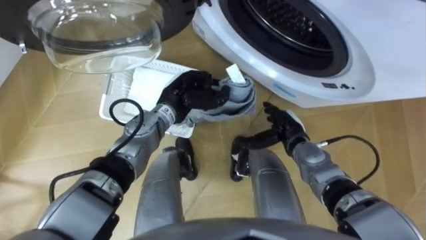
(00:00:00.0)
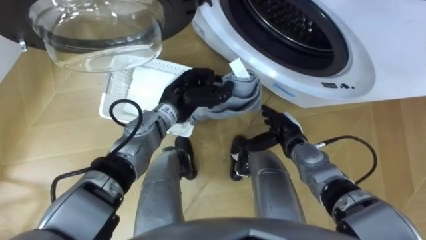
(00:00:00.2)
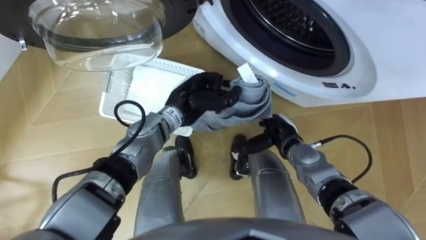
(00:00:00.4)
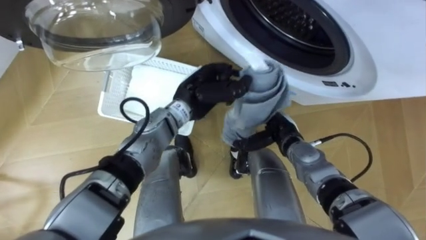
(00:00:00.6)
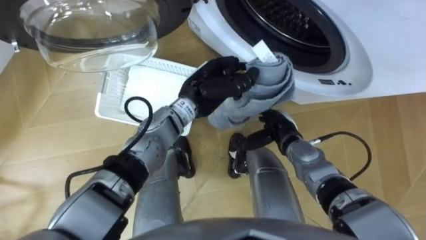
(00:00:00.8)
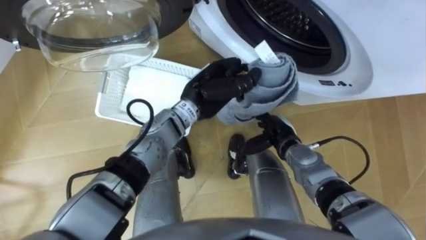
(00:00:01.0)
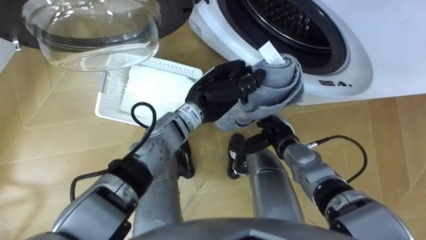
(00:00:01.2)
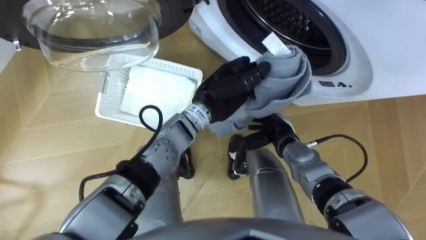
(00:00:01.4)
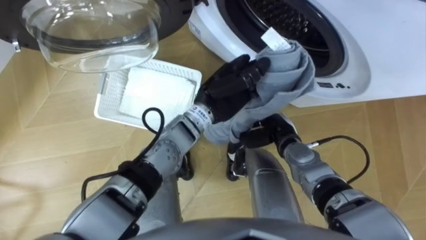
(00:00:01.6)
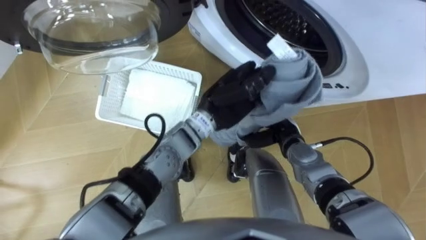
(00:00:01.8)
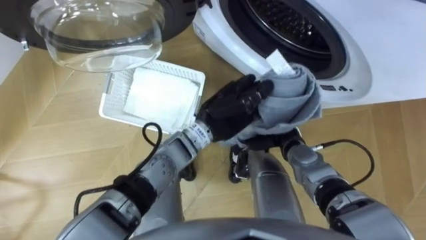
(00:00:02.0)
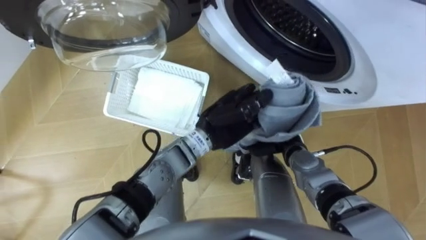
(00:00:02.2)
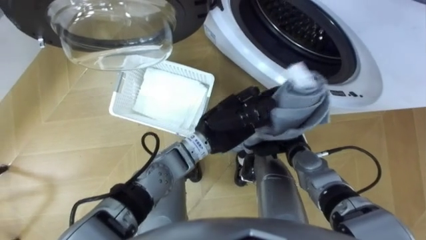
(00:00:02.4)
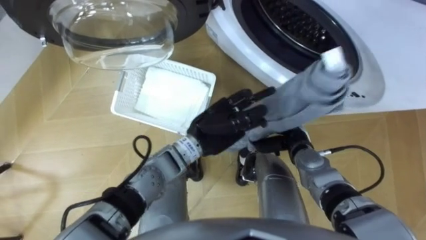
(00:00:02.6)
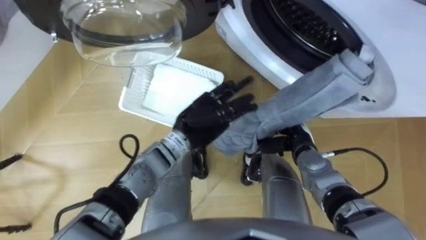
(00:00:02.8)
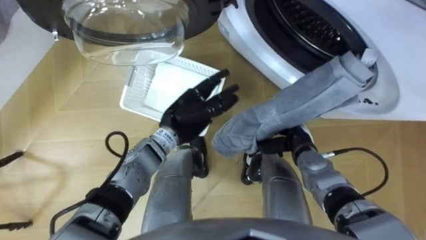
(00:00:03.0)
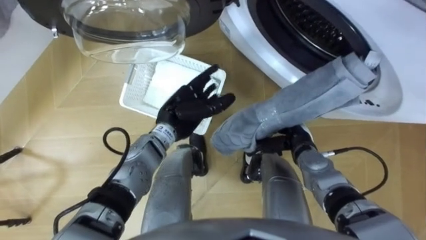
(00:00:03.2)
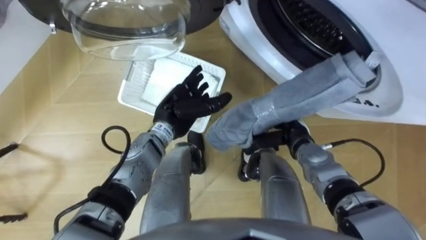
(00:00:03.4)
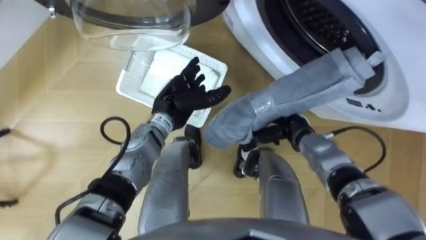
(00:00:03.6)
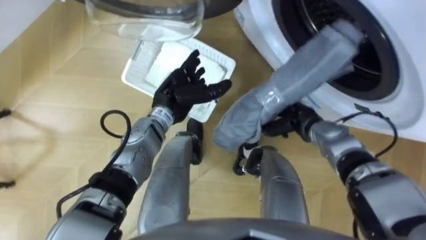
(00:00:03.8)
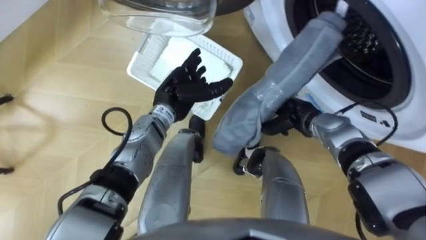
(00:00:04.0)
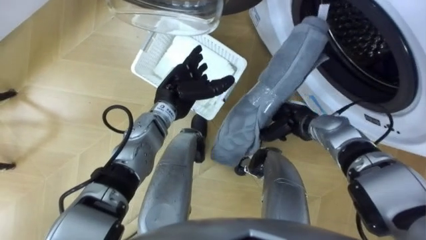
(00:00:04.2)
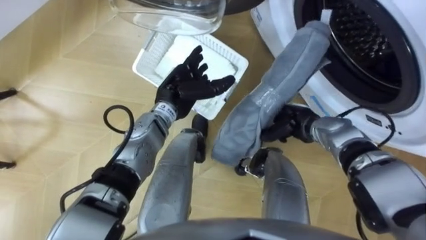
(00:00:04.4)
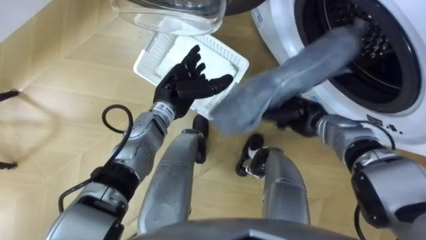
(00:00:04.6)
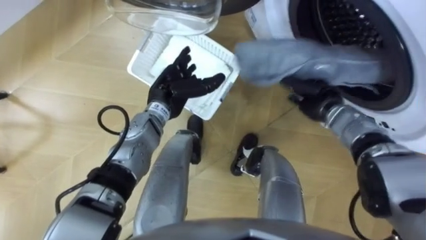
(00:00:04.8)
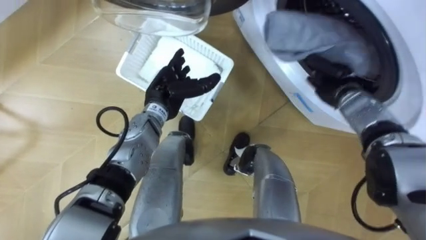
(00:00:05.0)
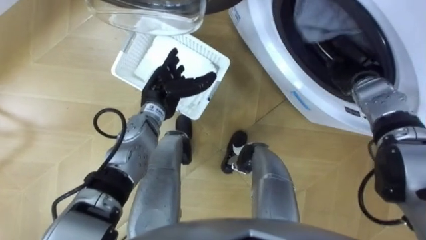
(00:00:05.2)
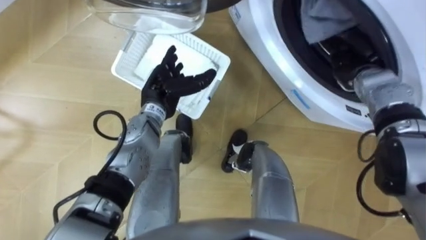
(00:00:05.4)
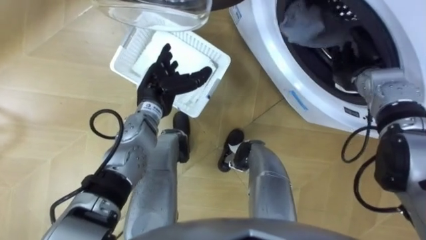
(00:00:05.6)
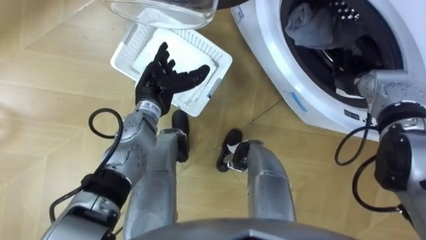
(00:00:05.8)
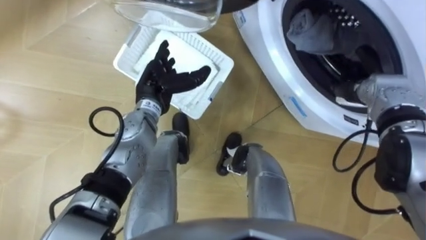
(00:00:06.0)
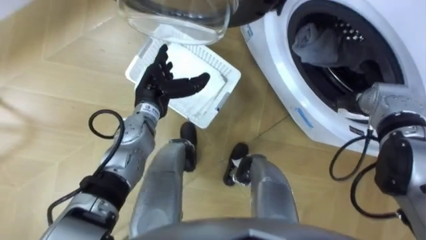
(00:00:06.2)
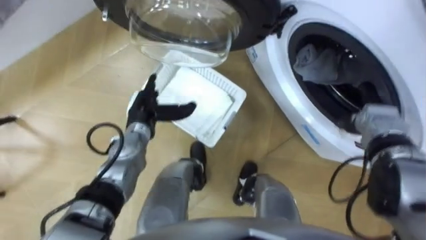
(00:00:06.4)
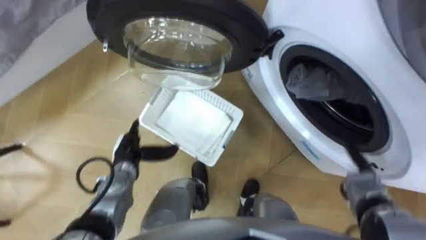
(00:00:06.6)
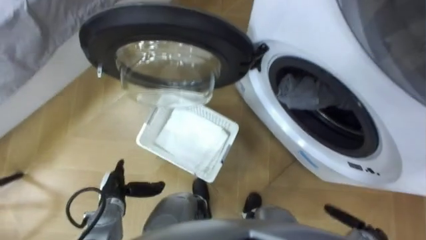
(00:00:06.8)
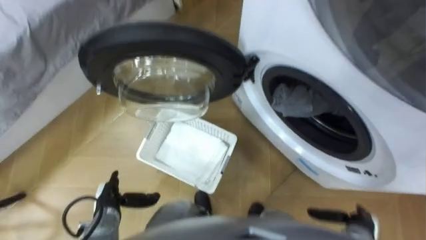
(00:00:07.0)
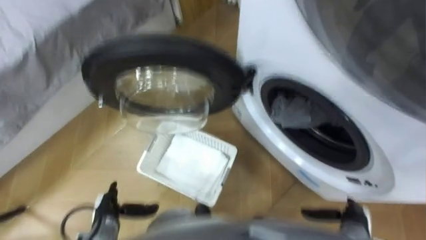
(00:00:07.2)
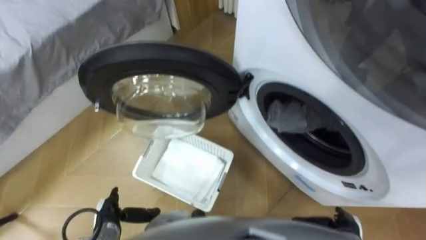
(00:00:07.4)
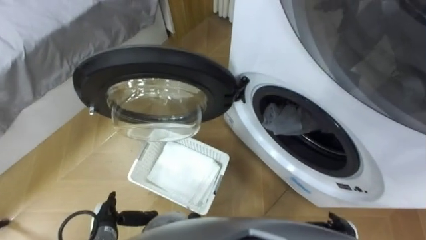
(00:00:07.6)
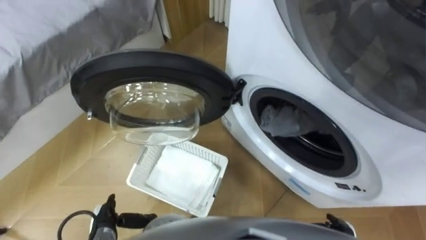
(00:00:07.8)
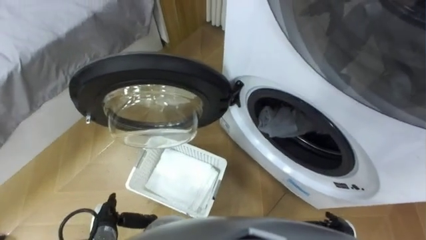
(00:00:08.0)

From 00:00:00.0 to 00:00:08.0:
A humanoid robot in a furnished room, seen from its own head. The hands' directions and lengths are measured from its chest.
Task of the whole recording: Take the towel from the basket and put it into the washing machine.
From 00:00:00.0 to 00:00:01.6: The left hand heads to the right and upward, covering some 10 cm. Meanwhile the right hand closes its fingers.
From 00:00:01.6 to 00:00:03.2: The left hand is displaced to the left and downward by about 10 cm, and opens.
From 00:00:03.2 to 00:00:04.8: The right hand shifts some 10 cm forward and upward.
From 00:00:04.8 to 00:00:06.4: The right hand shifts about 10 cm to the right and backward, and opens its fingers. The left hand travels to the left by about 5 cm.
From 00:00:06.4 to 00:00:08.0: Both hands move backward and downward, some 25 cm.

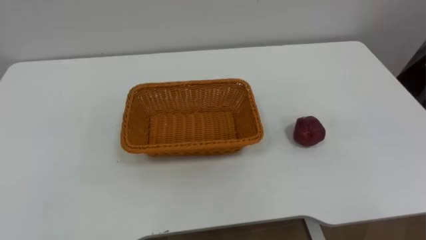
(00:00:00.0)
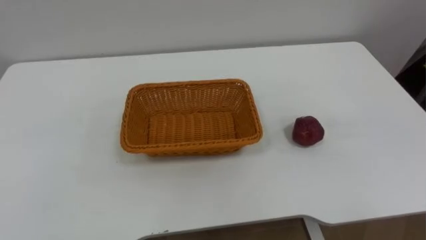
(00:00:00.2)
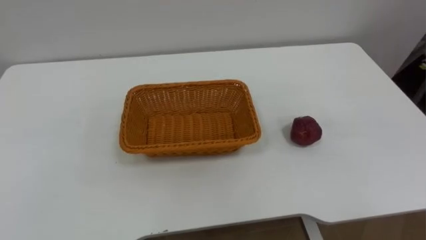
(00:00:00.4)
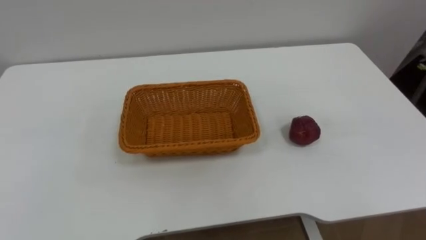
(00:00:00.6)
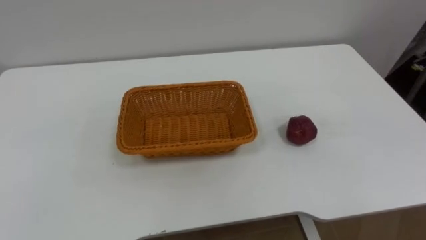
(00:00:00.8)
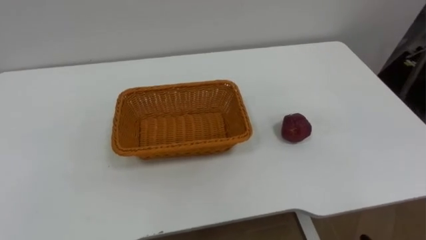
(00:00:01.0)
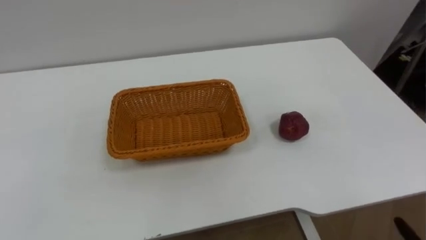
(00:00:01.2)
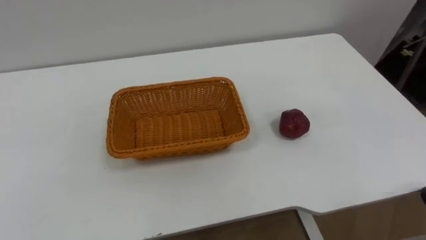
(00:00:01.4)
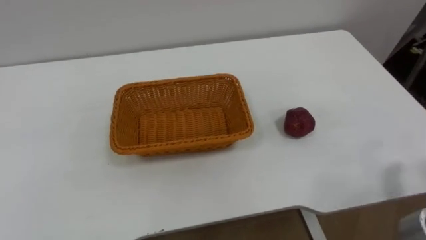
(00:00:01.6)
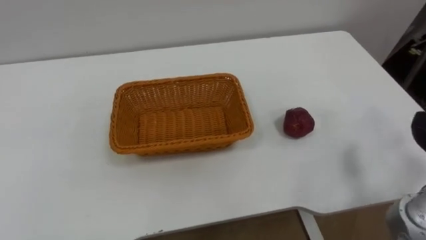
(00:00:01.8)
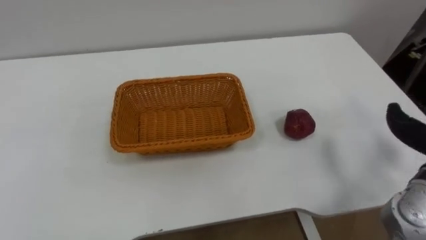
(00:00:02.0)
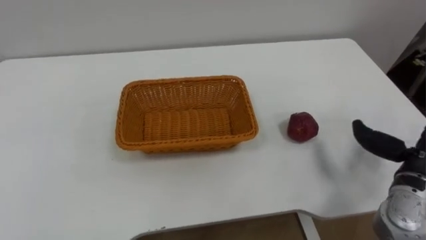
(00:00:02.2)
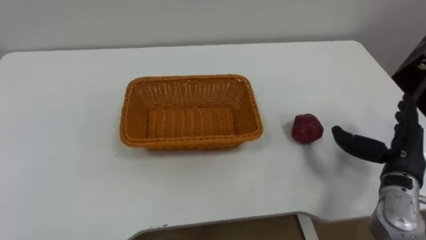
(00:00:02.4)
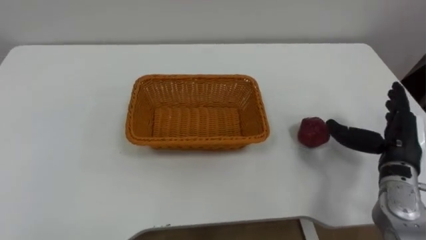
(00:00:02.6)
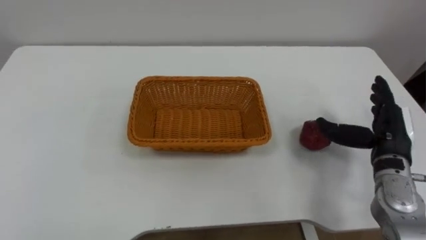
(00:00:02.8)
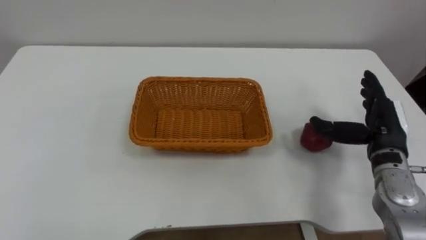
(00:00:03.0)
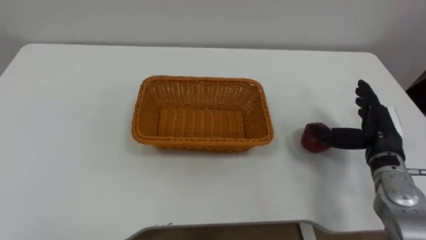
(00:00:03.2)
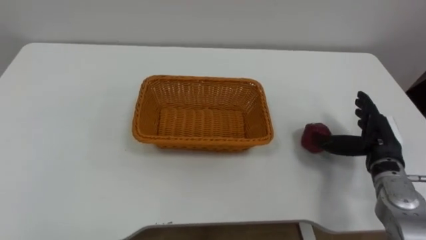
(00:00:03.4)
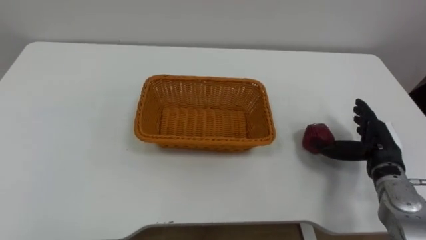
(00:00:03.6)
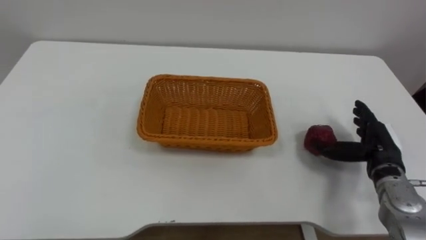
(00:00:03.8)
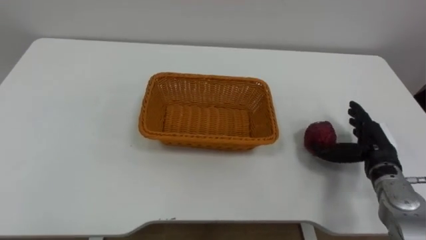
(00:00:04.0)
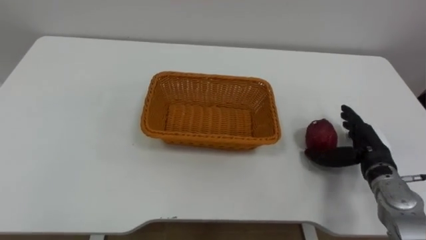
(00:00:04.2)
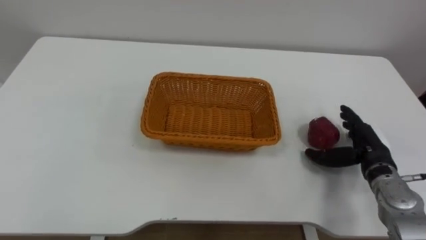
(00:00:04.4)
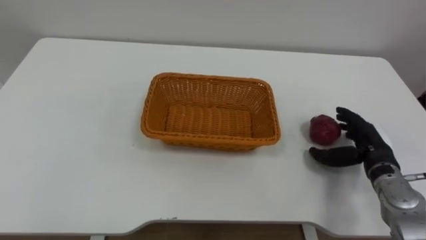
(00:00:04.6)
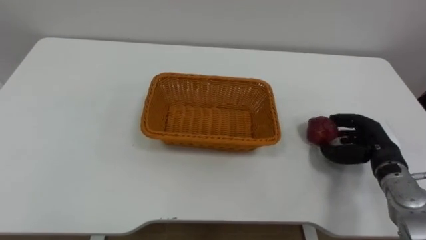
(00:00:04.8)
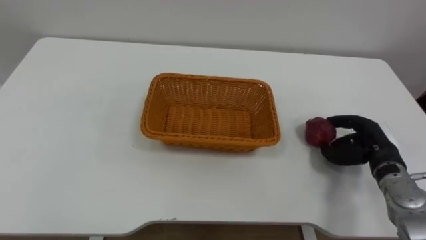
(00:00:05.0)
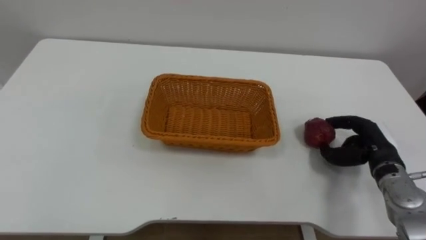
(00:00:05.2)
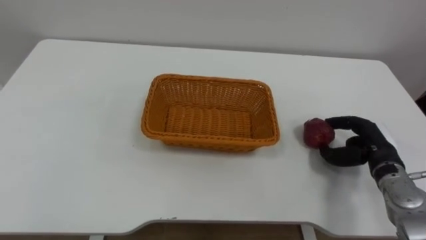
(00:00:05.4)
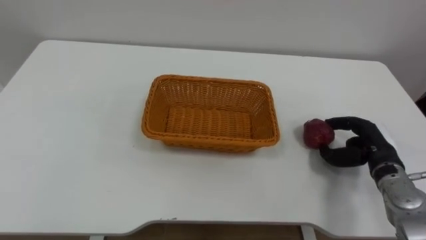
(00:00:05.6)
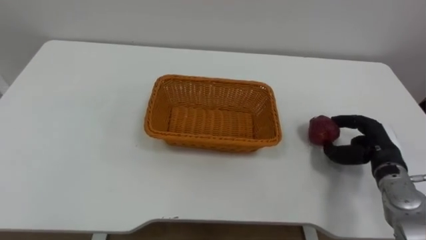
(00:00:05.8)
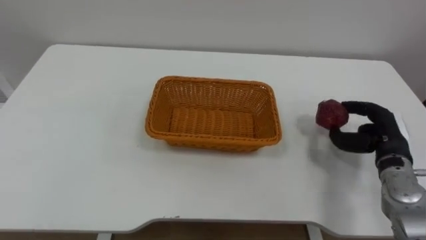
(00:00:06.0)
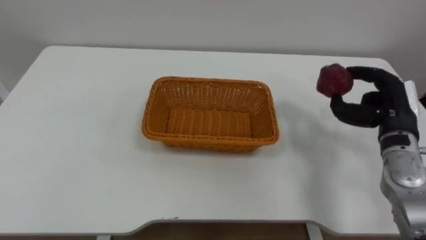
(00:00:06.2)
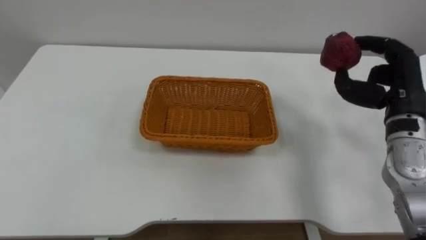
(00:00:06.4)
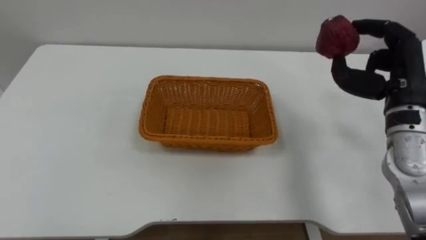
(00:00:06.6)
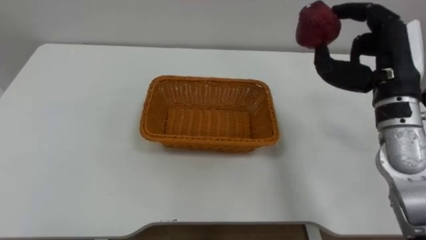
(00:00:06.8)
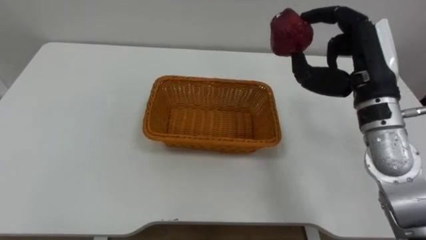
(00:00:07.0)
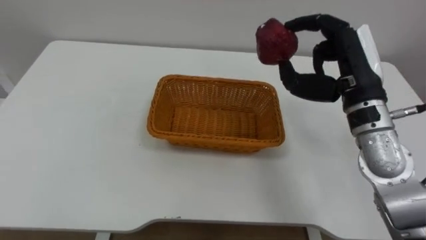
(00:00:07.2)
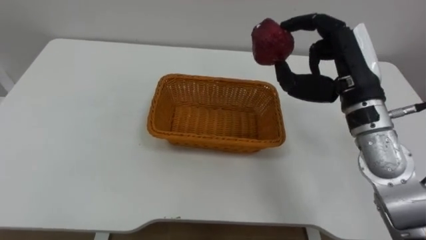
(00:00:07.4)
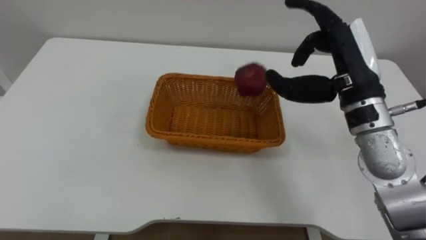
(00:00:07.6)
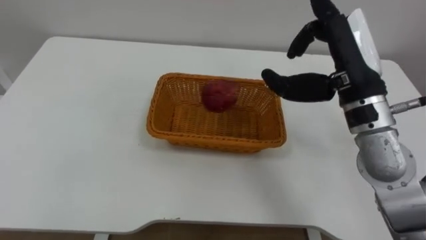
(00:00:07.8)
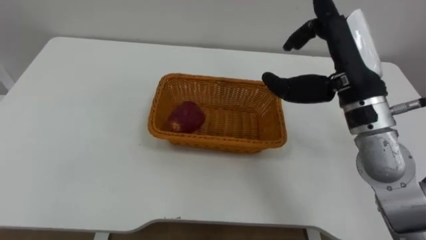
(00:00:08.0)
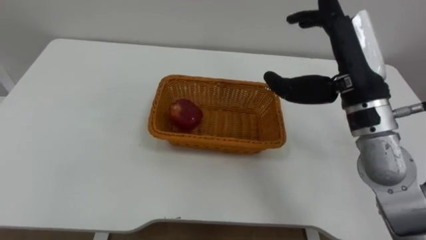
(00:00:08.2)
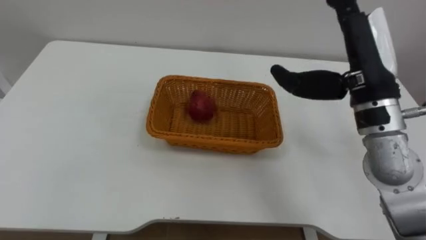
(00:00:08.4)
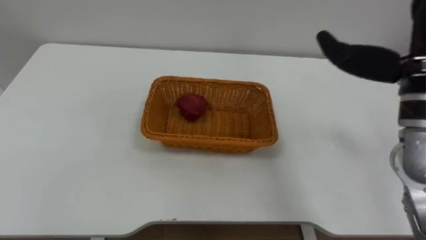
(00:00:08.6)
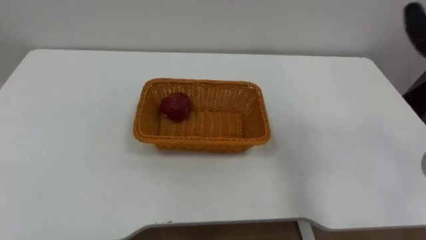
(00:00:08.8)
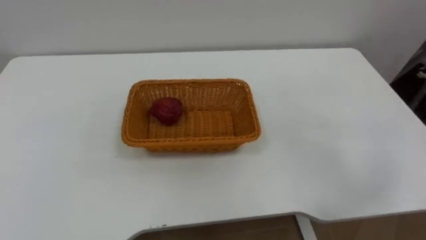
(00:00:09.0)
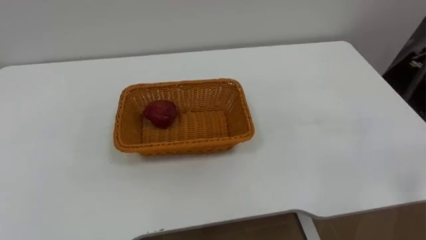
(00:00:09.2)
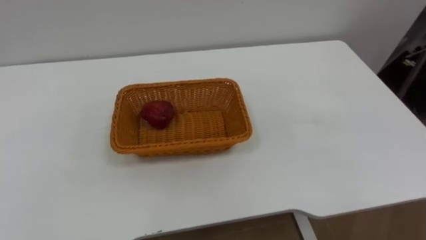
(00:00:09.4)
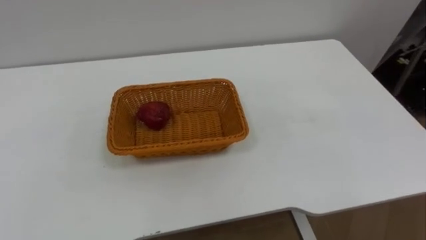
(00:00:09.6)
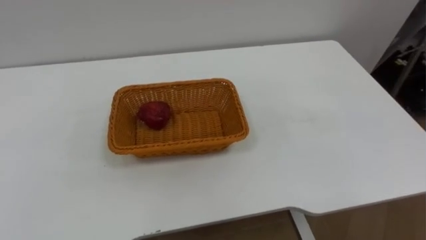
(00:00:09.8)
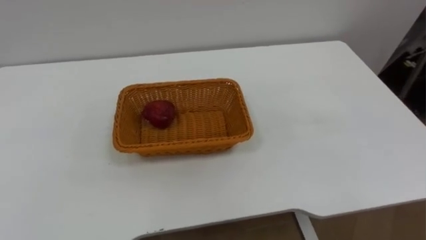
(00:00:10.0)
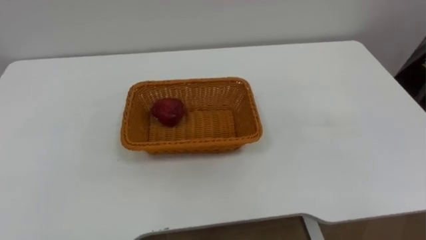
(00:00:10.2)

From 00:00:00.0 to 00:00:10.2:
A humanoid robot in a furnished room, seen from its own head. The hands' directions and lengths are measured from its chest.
Task of the whole recording: Pick the apple and place it in the box.
From 00:00:03.0 to 00:00:04.4: The right hand travels downward by about 5 cm.
From 00:00:04.4 to 00:00:05.8: The right hand closes its fingers.
From 00:00:05.8 to 00:00:07.2: The right hand heads upward and to the left, covering roughly 20 cm.
